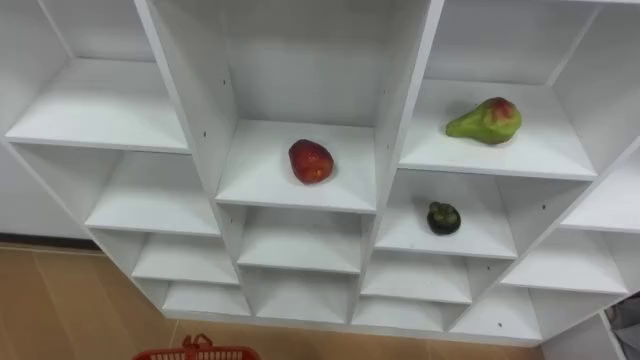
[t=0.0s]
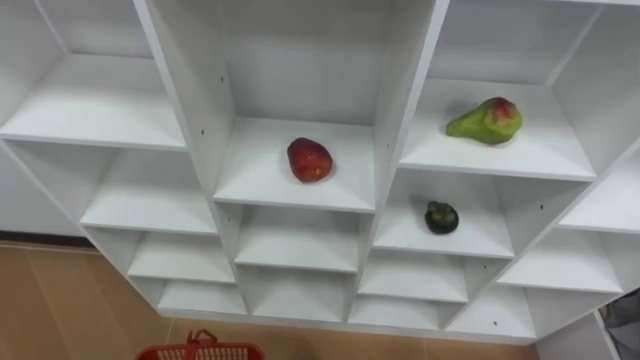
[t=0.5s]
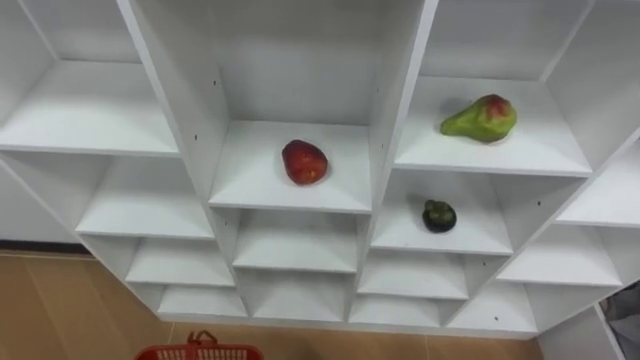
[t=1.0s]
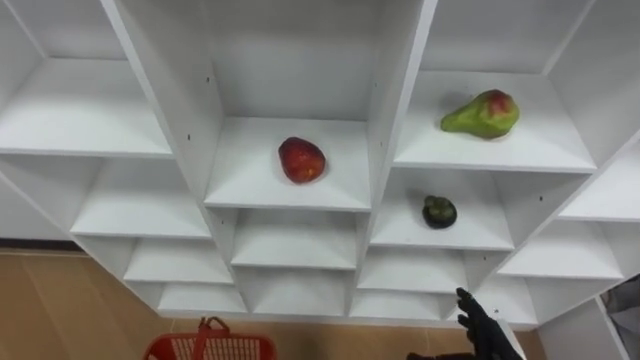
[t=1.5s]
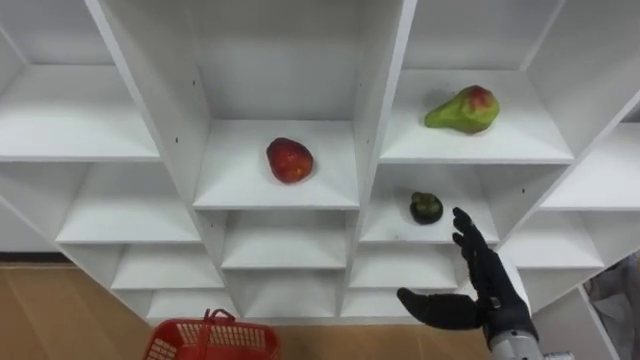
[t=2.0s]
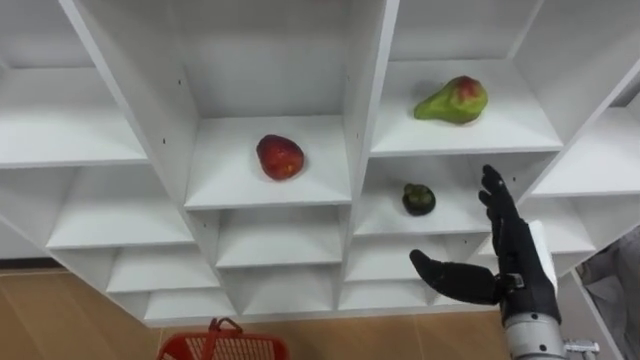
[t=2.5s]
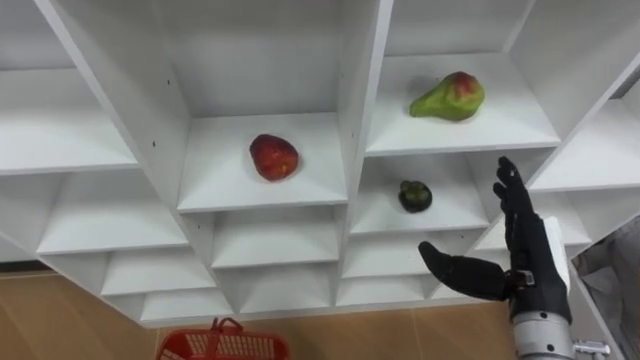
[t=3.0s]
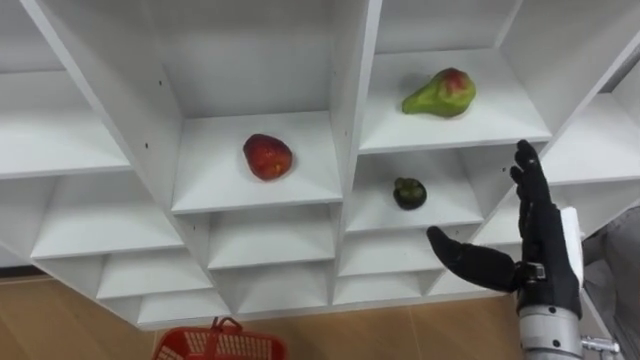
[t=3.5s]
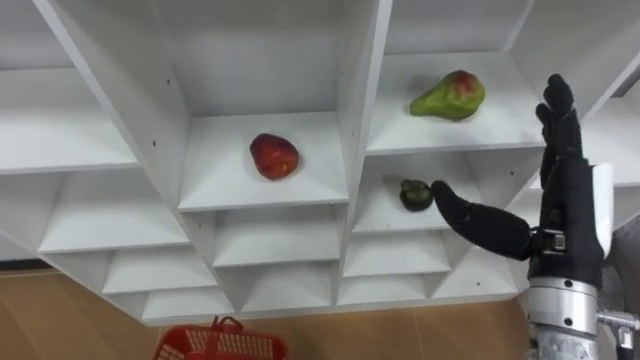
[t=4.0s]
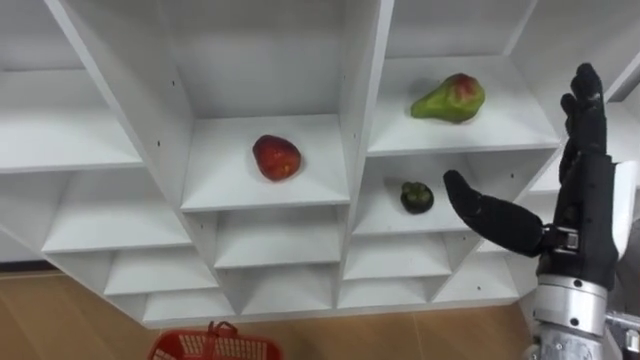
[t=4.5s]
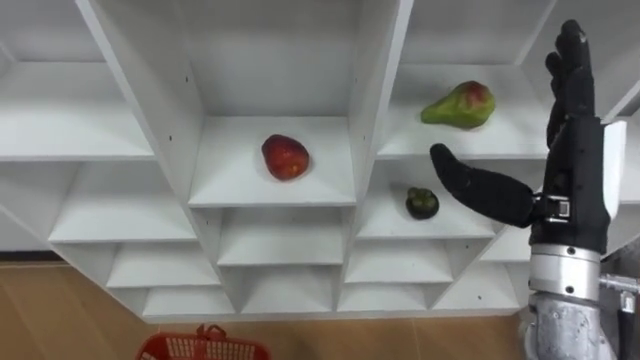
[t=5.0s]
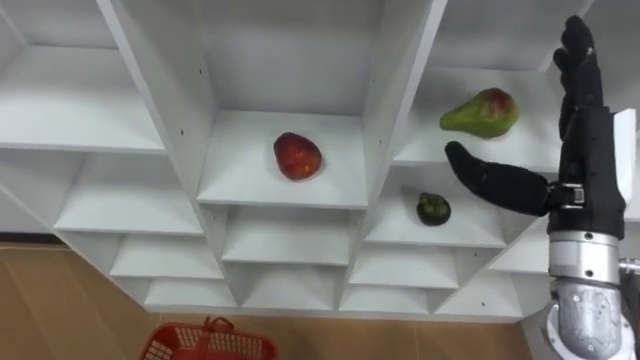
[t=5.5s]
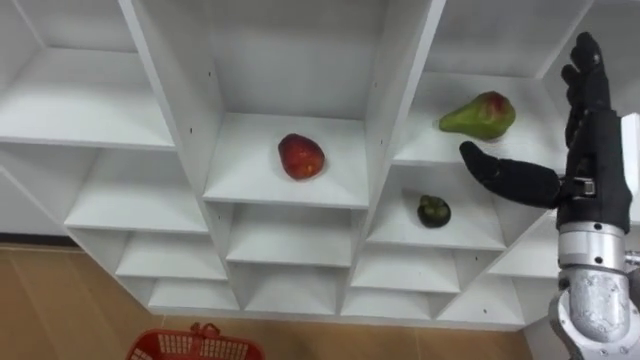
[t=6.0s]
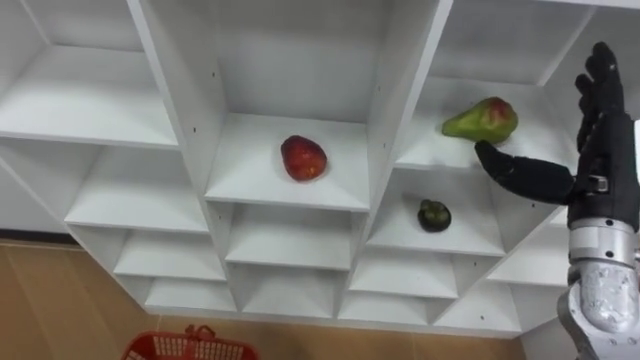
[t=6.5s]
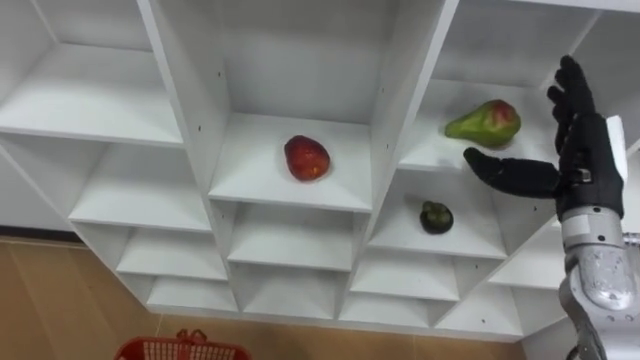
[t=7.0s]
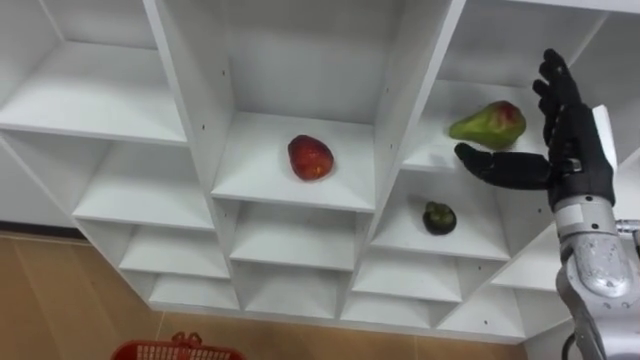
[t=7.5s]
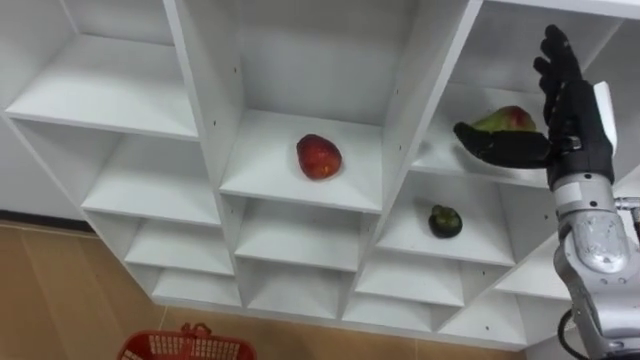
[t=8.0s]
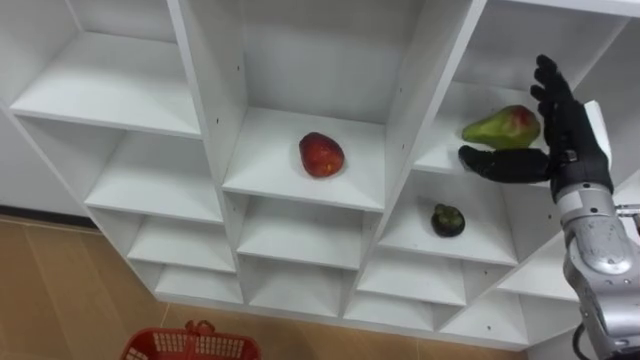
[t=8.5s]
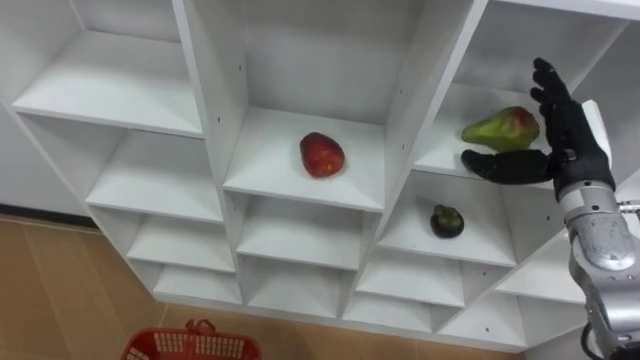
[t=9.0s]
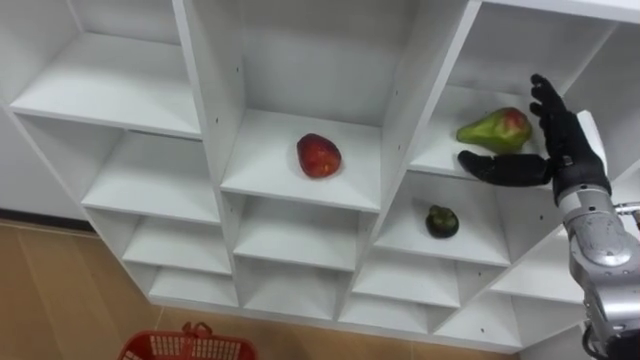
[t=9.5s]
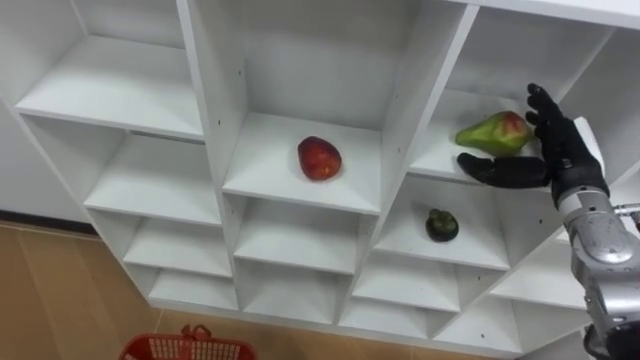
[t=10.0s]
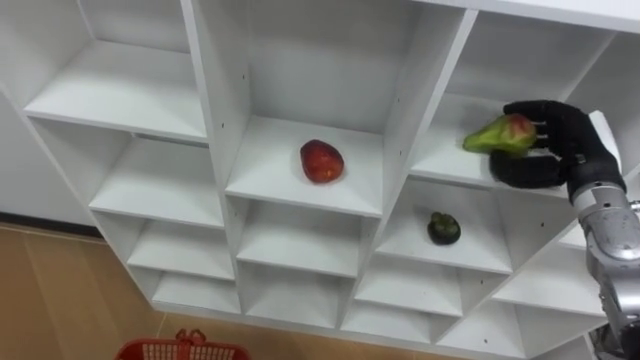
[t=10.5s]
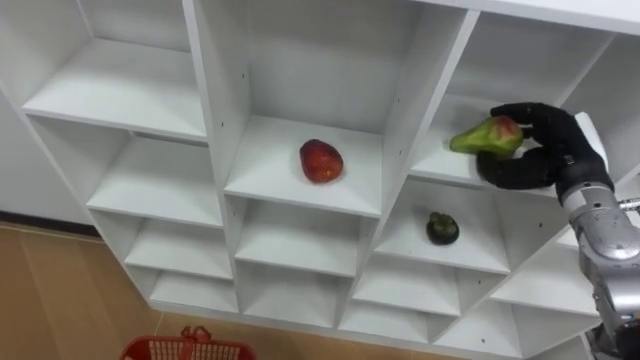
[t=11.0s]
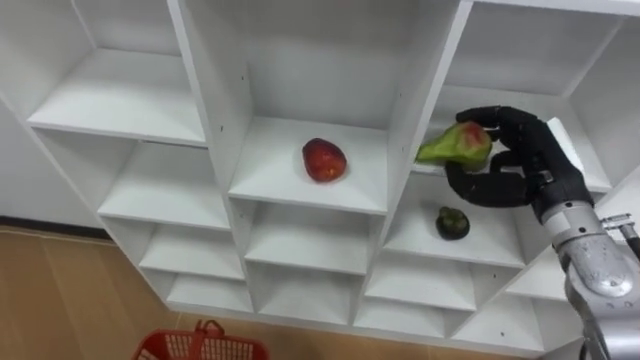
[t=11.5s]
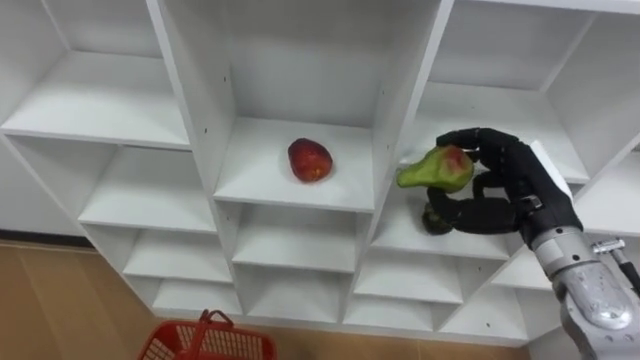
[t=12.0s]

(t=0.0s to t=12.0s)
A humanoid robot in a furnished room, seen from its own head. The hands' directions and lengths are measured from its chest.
Task of the whole recording: Hold the basket and collect the fruits from 3 different cells of the closet into it.
t=2.0s - t=4.0s: The right hand goes about 15 cm upward.
t=4.0s - t=6.0s: The right hand changes place by roughly 5 cm.
t=6.0s - t=8.0s: The right hand goes about 5 cm forward.
t=8.0s - t=10.0s: The right hand is displaced downward by about 5 cm.
t=10.0s - t=12.0s: The right hand is displaced to the left and backward by some 10 cm, and closes up.

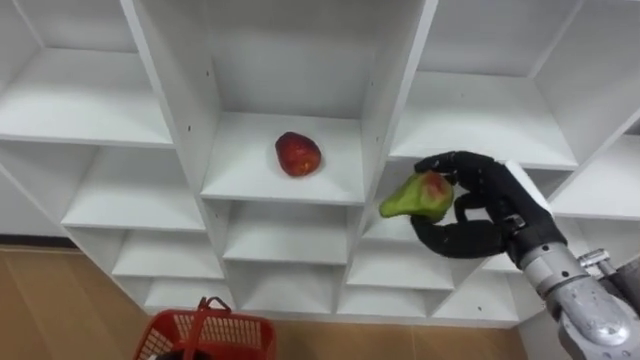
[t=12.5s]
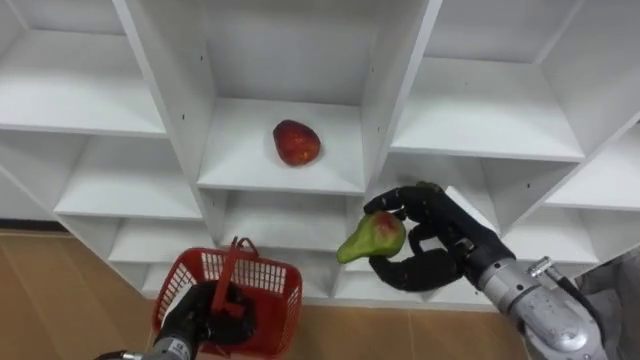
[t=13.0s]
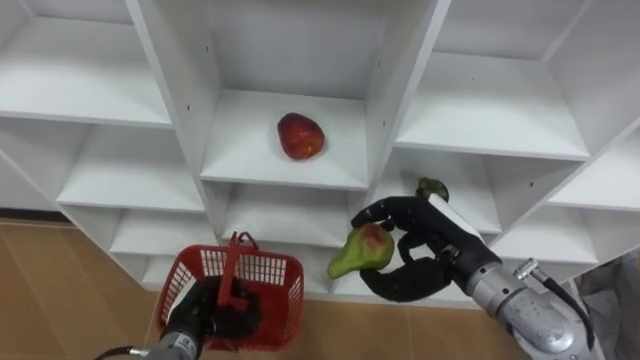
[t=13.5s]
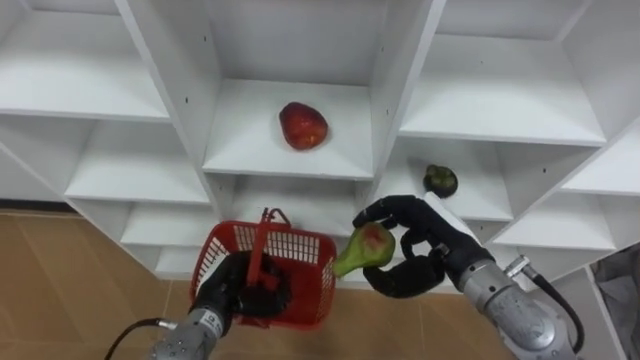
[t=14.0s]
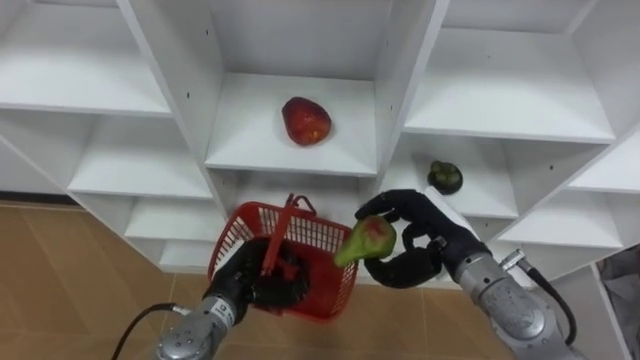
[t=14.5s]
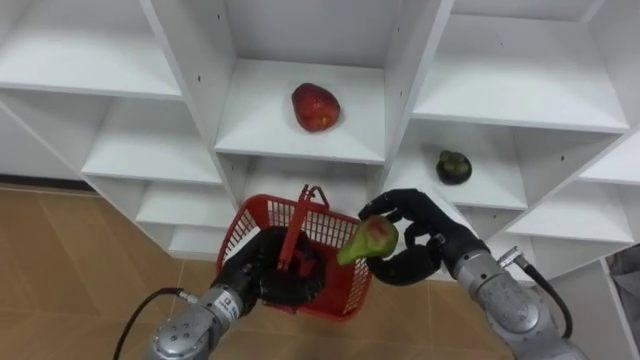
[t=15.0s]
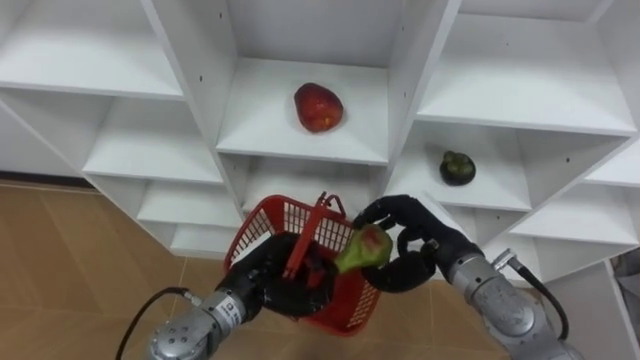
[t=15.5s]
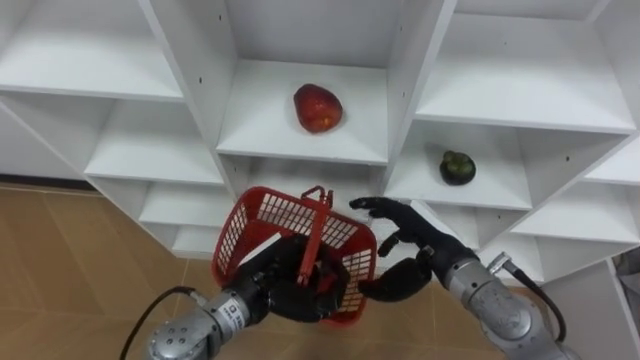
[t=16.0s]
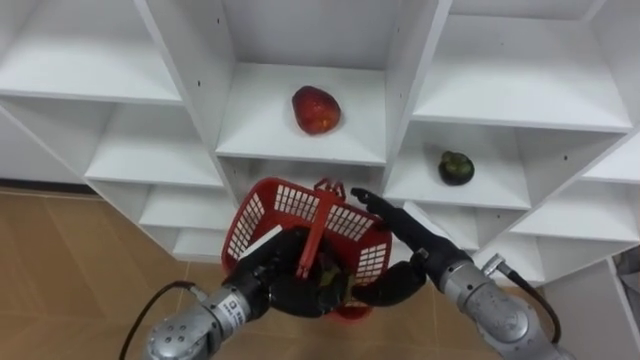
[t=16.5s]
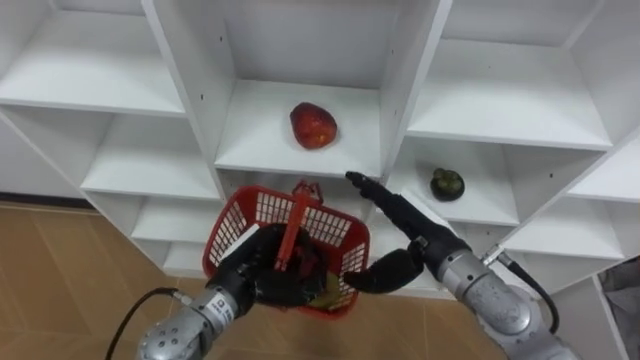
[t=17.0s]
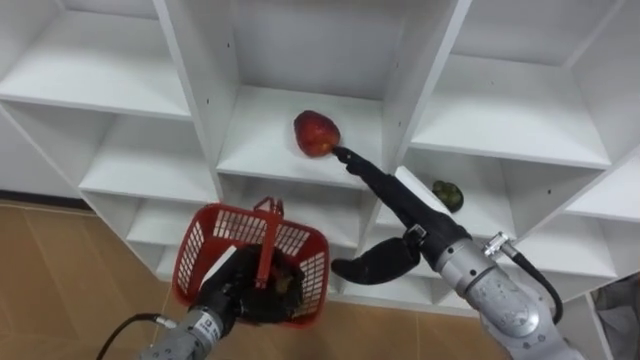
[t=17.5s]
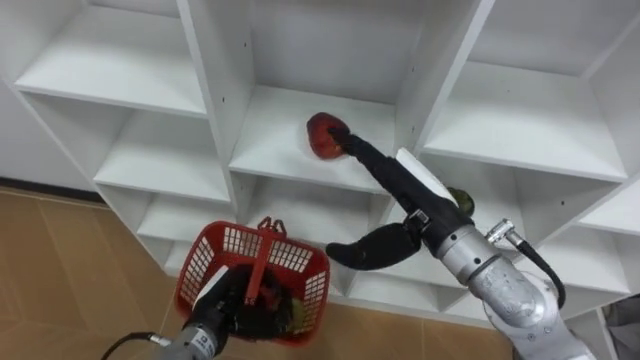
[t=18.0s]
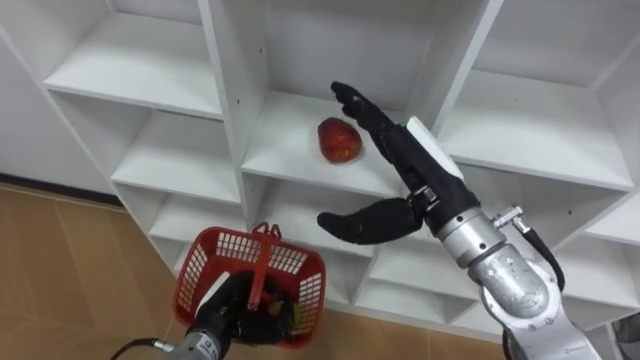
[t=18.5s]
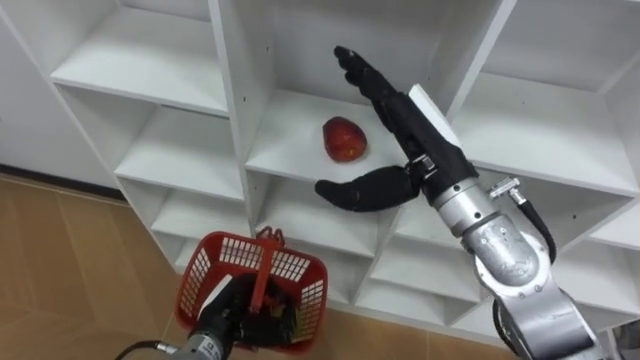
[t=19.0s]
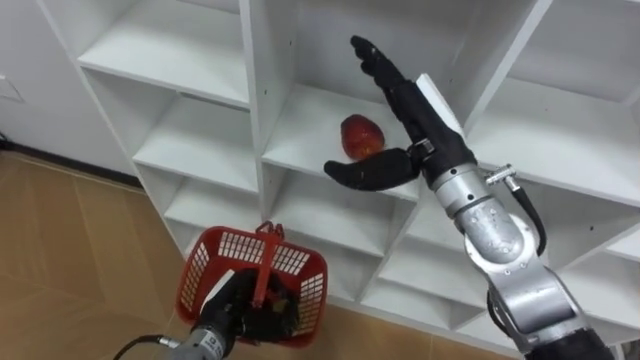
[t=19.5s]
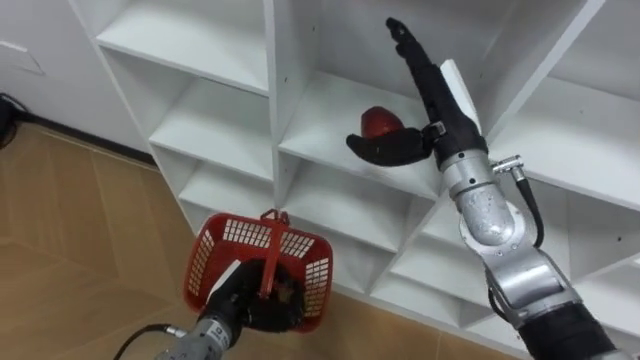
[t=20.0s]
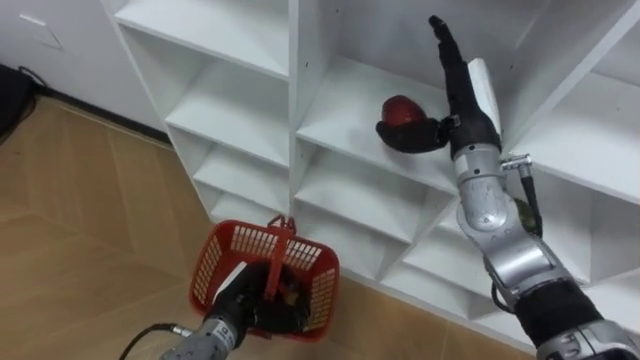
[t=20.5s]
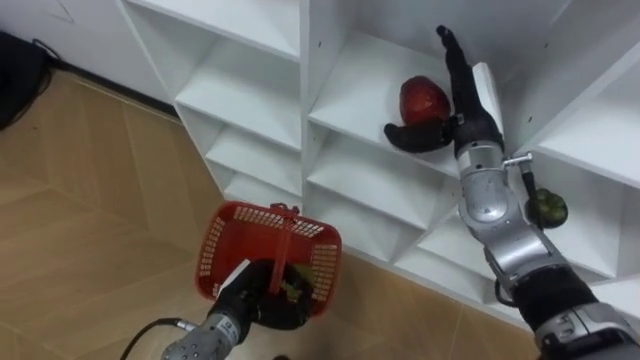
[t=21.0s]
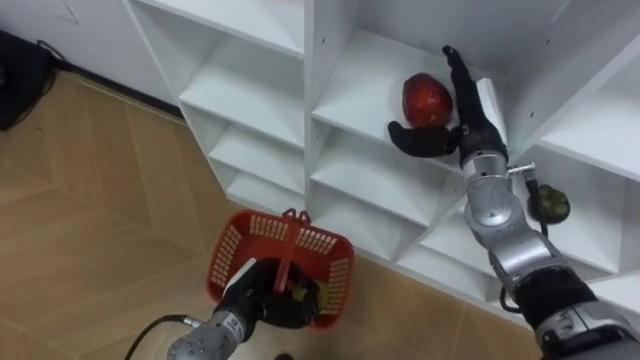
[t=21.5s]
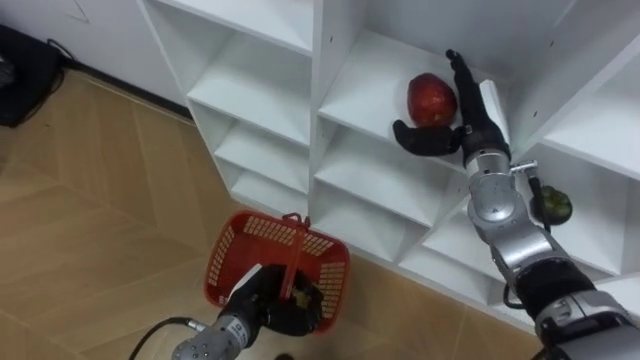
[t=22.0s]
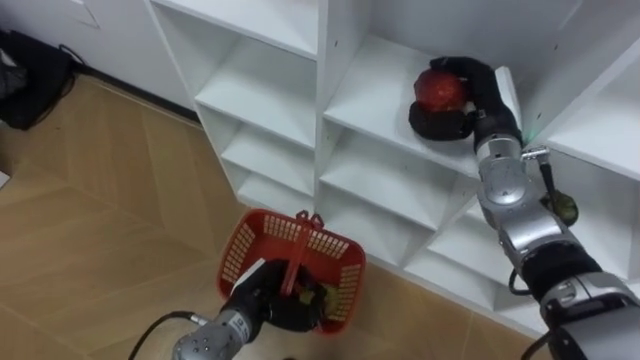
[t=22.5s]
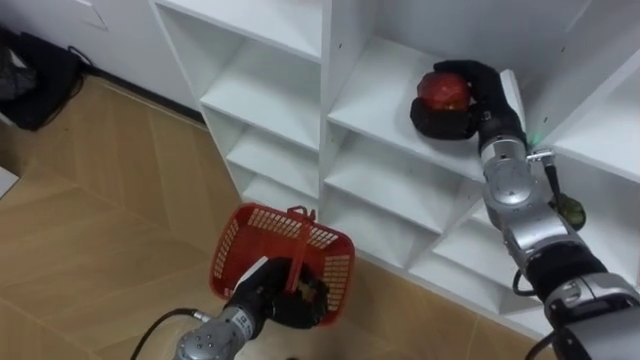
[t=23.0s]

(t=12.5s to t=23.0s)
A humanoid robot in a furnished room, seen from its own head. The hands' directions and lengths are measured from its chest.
Task of the whole recording: Hold the basket and collect the fruits from 3 different cells of the closet into it.
t=12.5s - t=14.5s: The right hand goes about 10 cm to the left.
t=14.5s - t=16.5s: The left hand is displaced upward by roughly 5 cm; the right hand opens up.
t=16.5s - t=19.0s: The left hand goes about 10 cm downward and to the left. The right hand shifts about 15 cm upward.
t=19.0s - t=21.0s: The right hand heads forward and to the right, covering approximately 10 cm.
t=21.0s - t=23.0s: The right hand closes up.
